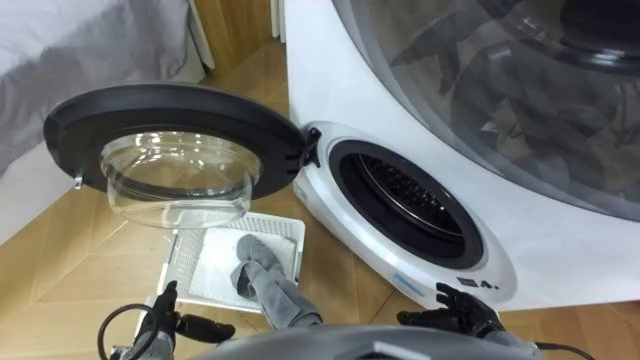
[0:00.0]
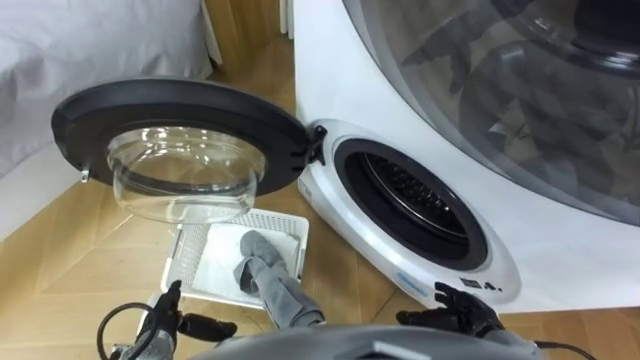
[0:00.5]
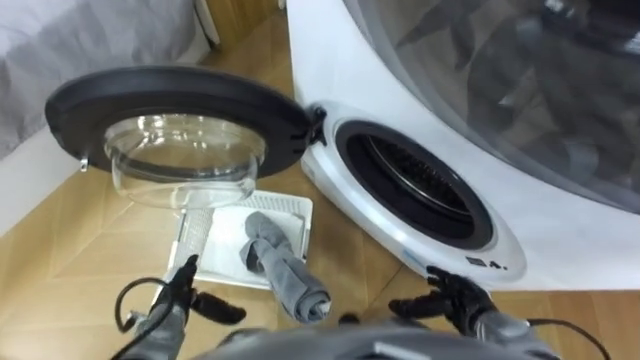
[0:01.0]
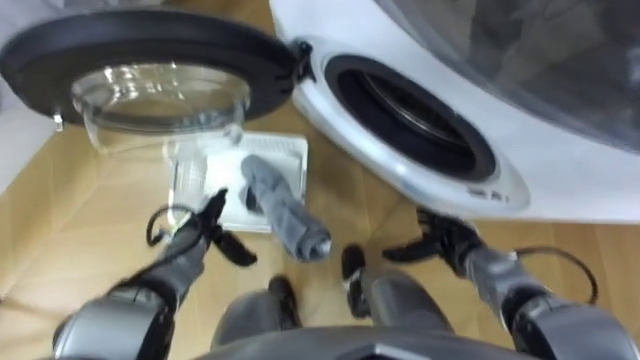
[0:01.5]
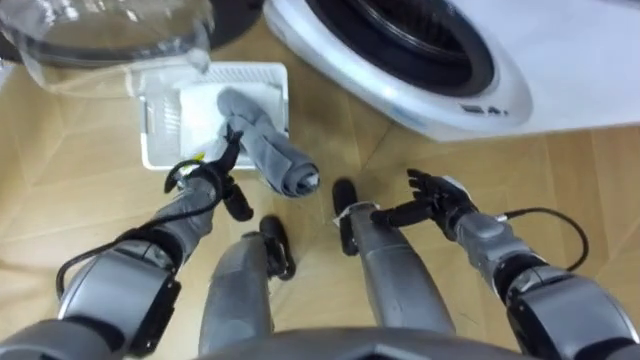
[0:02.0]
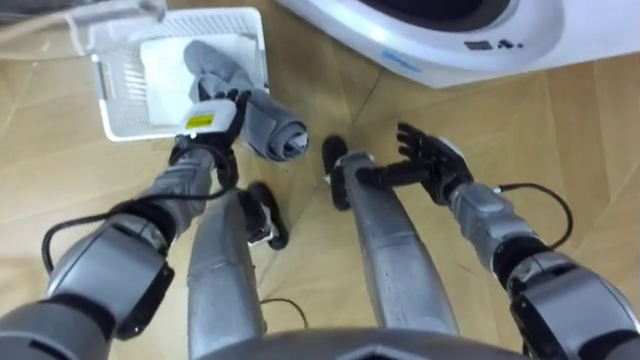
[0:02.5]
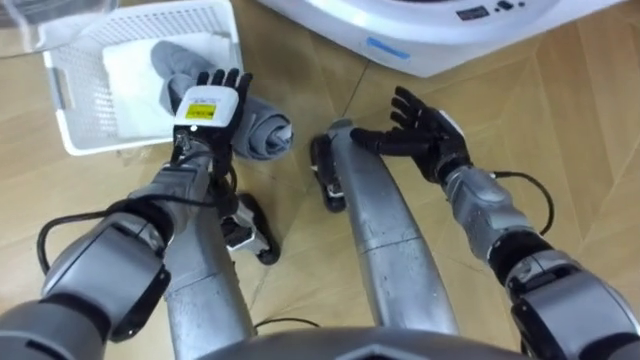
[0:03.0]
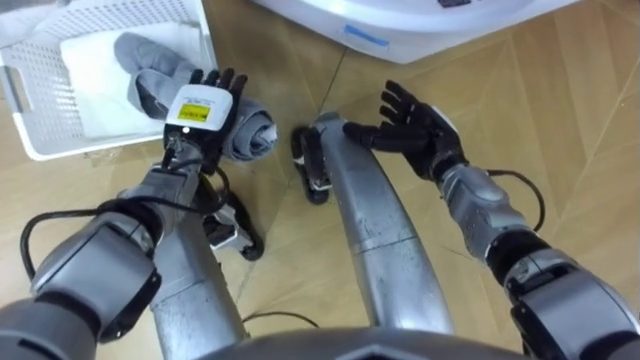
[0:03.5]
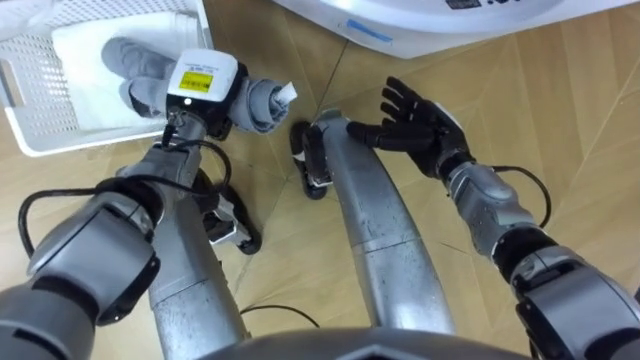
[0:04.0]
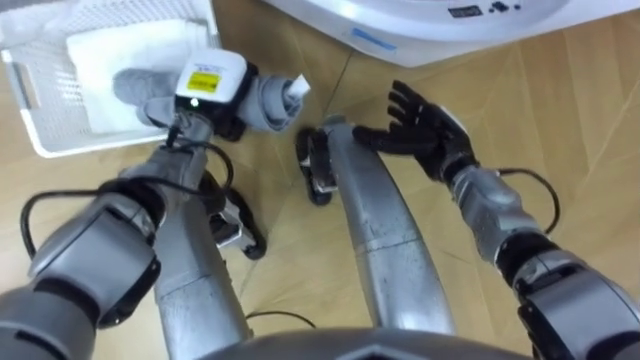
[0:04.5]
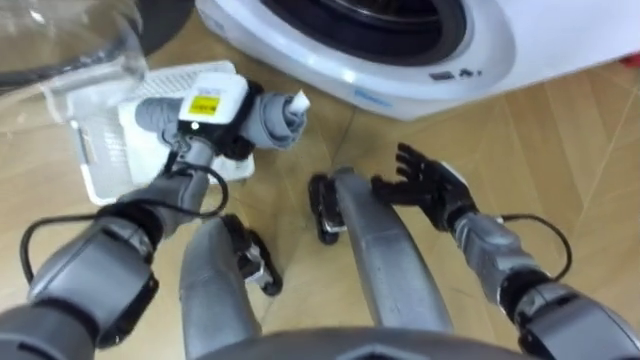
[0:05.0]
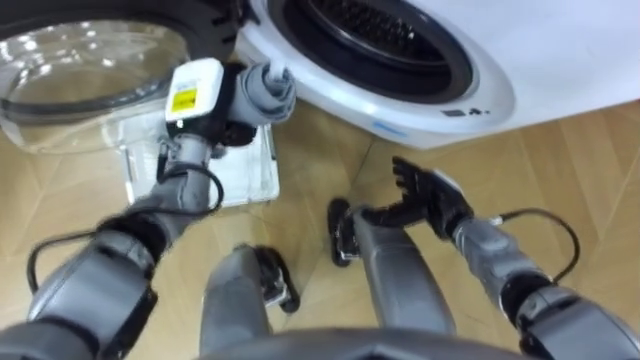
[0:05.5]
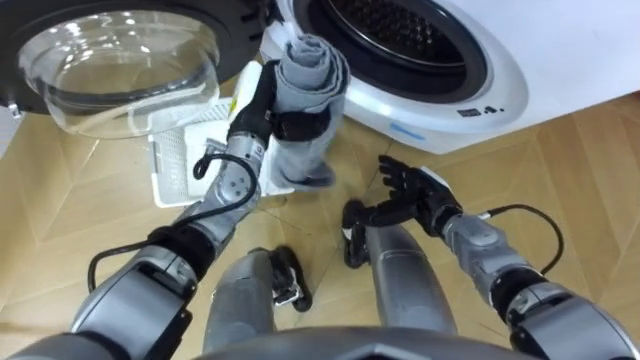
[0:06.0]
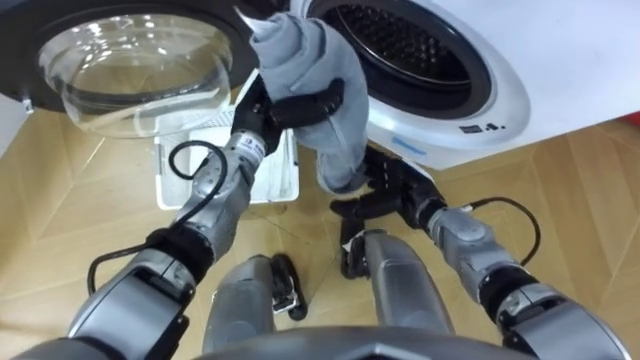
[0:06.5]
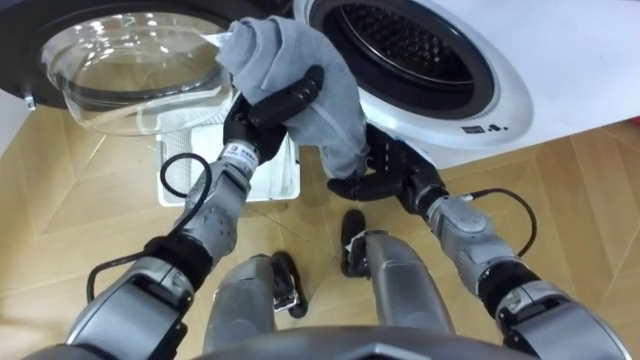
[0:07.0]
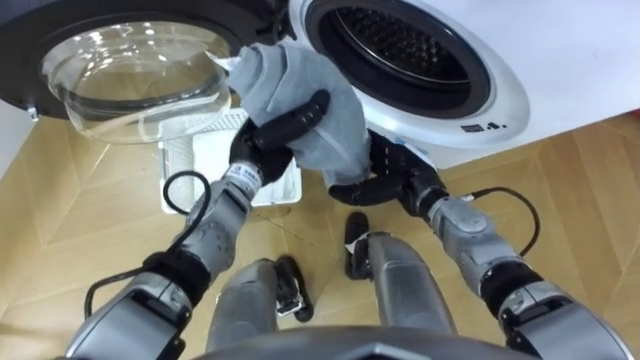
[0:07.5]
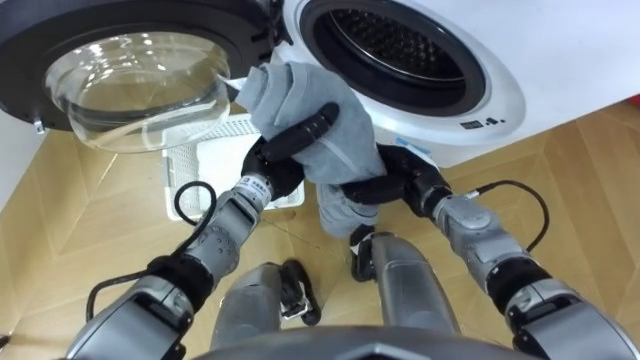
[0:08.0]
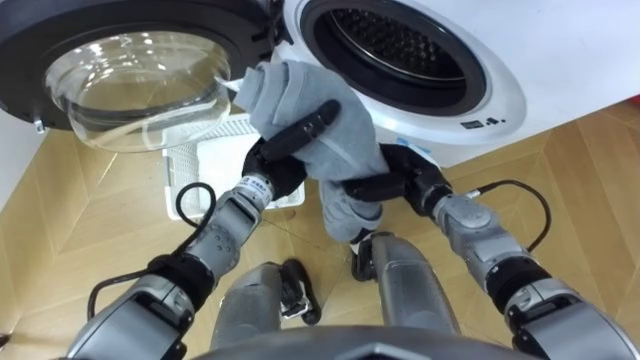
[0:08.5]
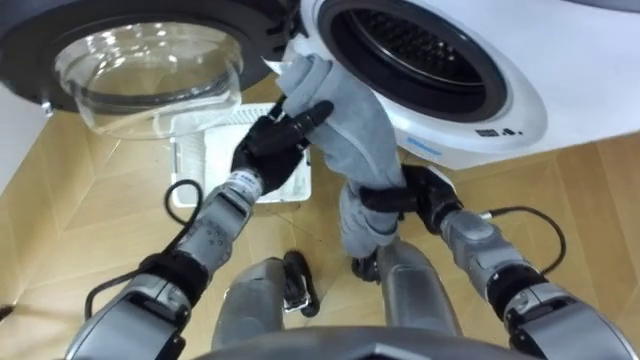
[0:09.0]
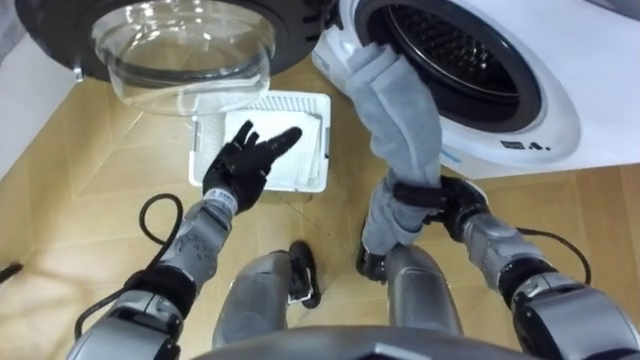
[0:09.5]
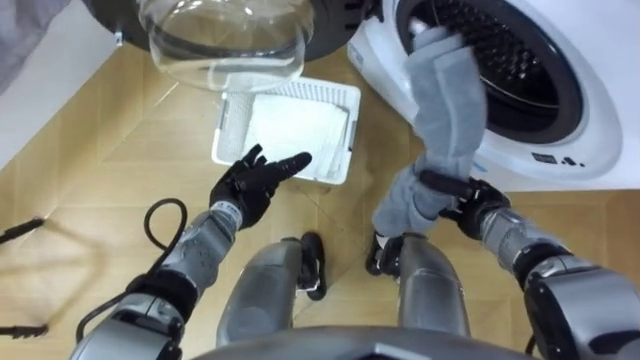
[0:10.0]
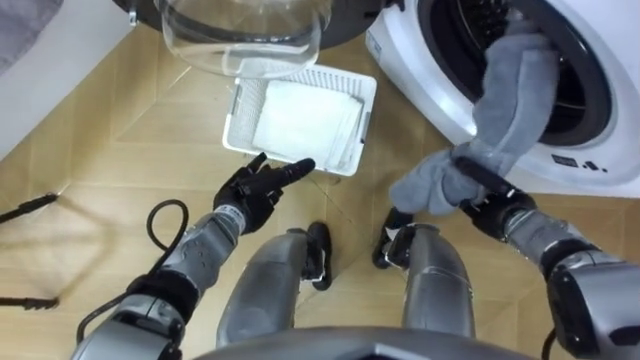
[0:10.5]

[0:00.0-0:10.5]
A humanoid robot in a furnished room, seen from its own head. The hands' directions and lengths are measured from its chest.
Task of the whole recording: Take the towel from the basket and put it into the washing machine.
0:02.0 to 0:04.0: The hands both shift upward and forward by roughly 10 cm. The left hand closes its fingers.
0:04.0 to 0:06.5: The right hand moves backward, about 5 cm; the left hand goes roughly 10 cm to the right.
0:06.5 to 0:08.5: The right hand closes its fingers, while the left hand ends up roughly 5 cm from where it was.
0:08.5 to 0:10.5: The right hand is displaced to the right by some 15 cm, while the left hand is displaced downward and to the left by roughly 10 cm, and opens its fingers.

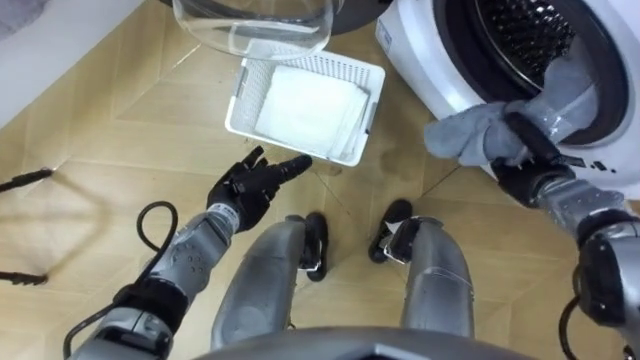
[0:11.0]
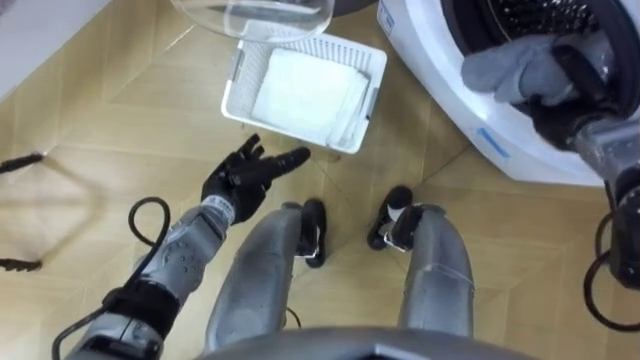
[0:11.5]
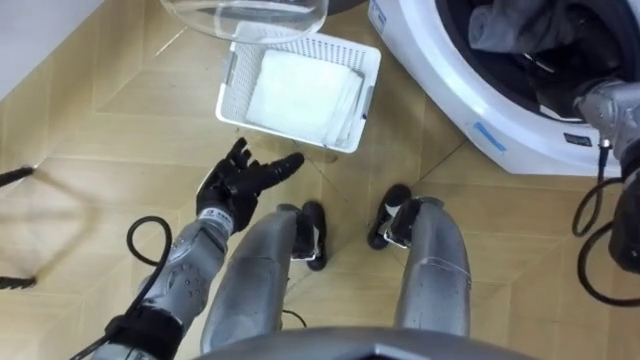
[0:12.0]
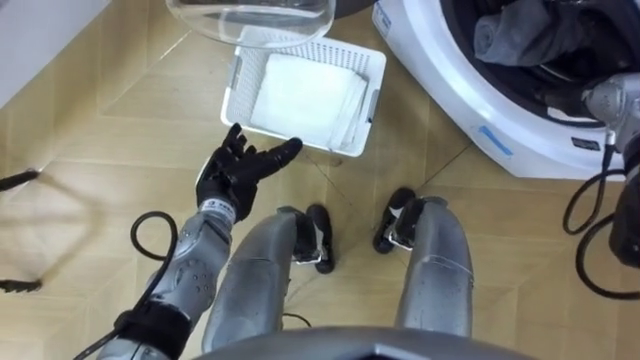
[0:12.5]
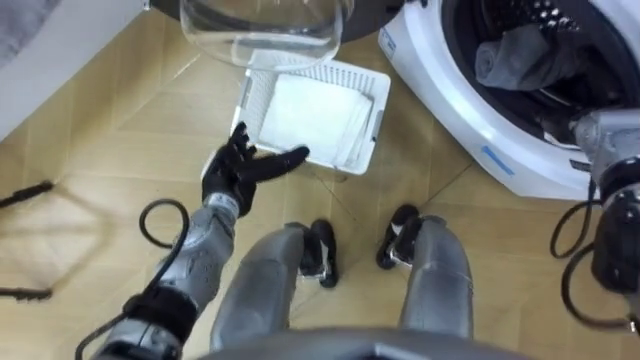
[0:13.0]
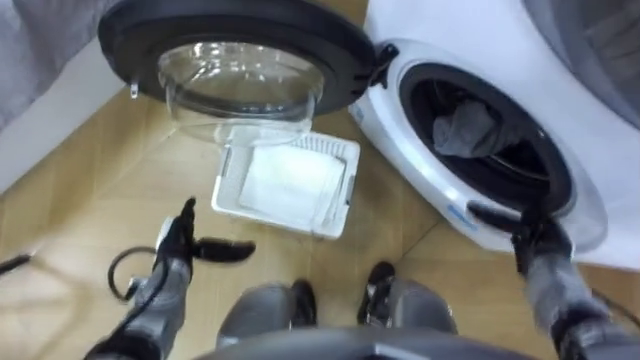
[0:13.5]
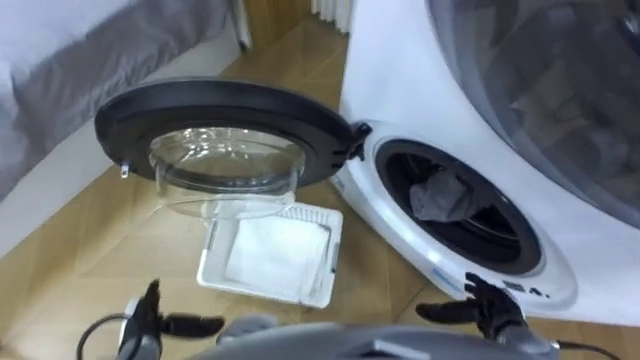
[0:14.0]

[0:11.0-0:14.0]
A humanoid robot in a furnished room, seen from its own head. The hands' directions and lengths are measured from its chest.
Task of the whole recording: Take the towel from the basket and put it into the washing machine.
0:11.0 to 0:12.5: The right hand goes approximately 15 cm upward and forward, and opens up.
0:12.5 to 0:14.0: The left hand travels backward, to the left and downward by about 25 cm. The right hand shifts some 35 cm backward and downward.

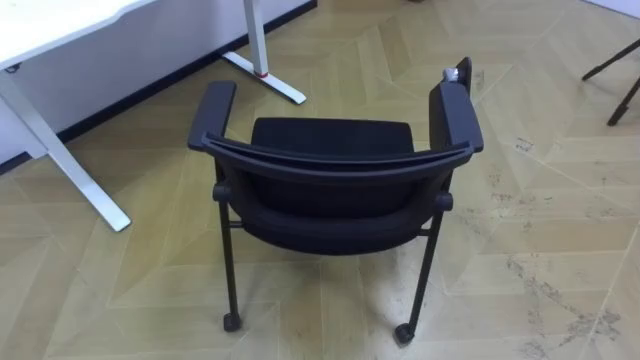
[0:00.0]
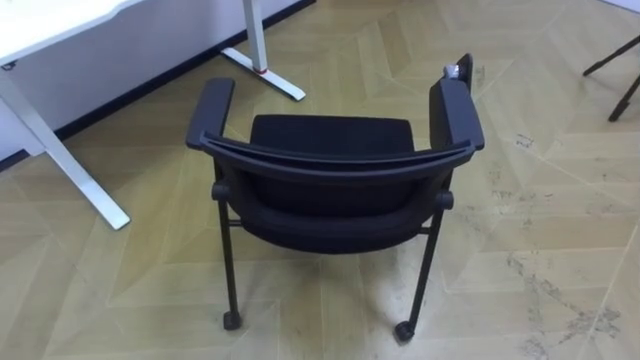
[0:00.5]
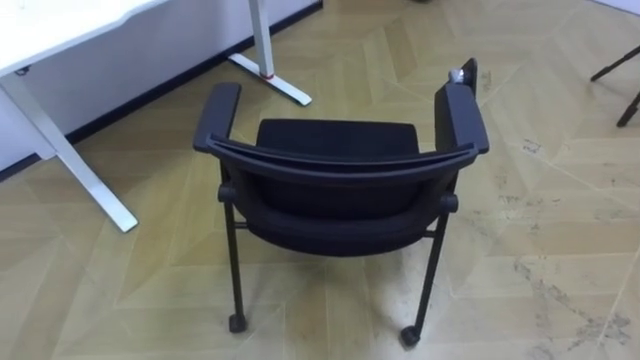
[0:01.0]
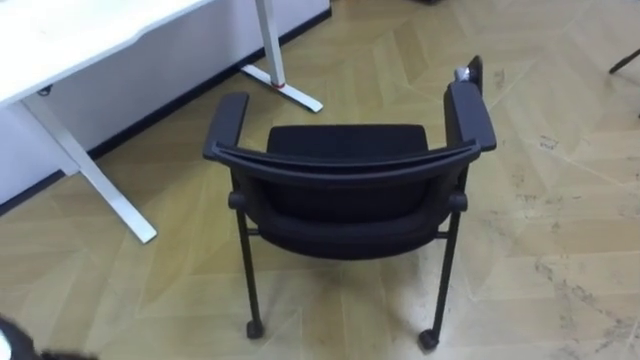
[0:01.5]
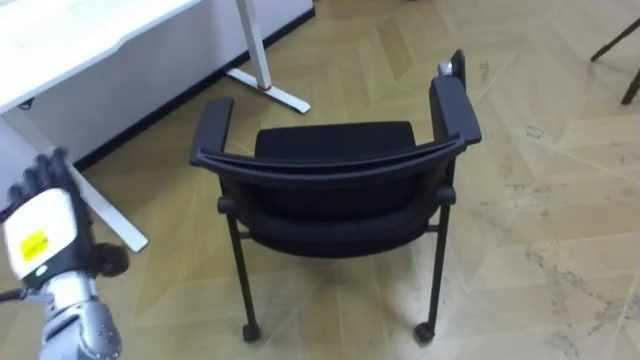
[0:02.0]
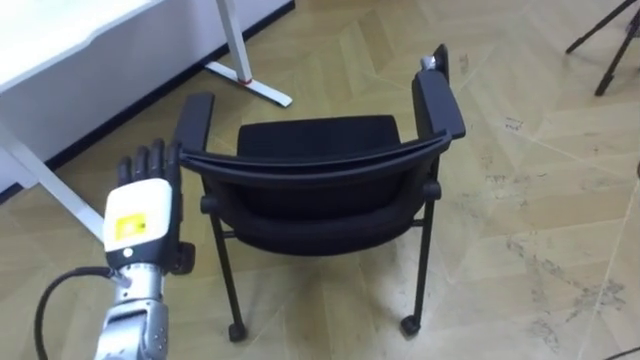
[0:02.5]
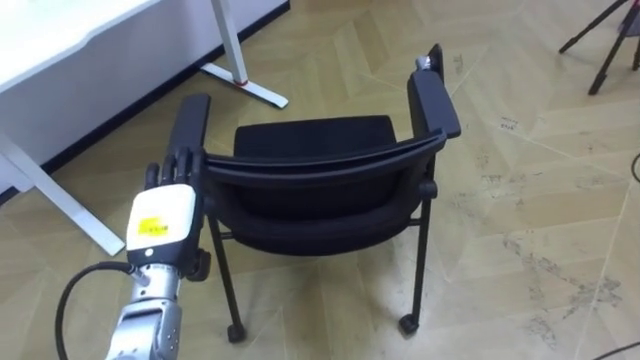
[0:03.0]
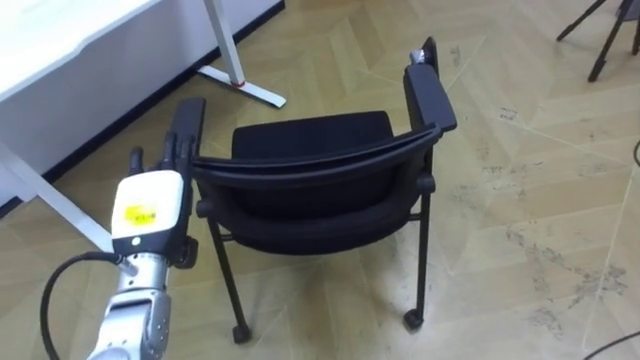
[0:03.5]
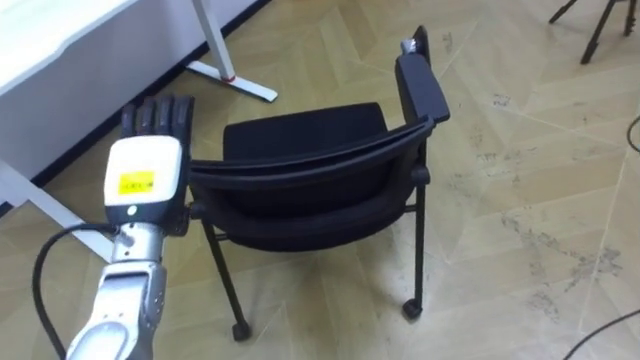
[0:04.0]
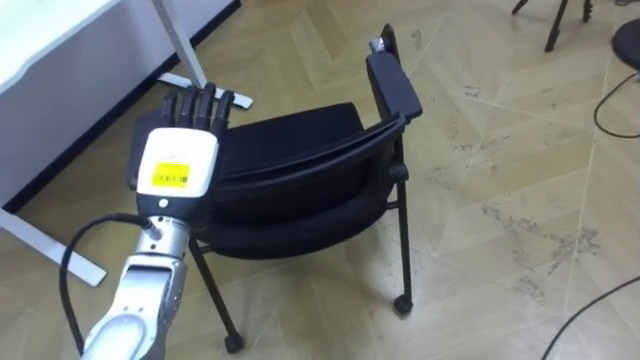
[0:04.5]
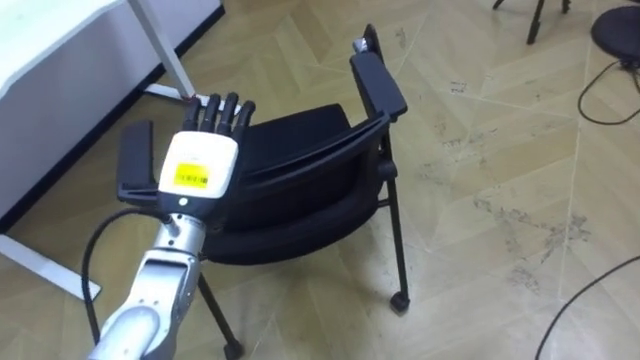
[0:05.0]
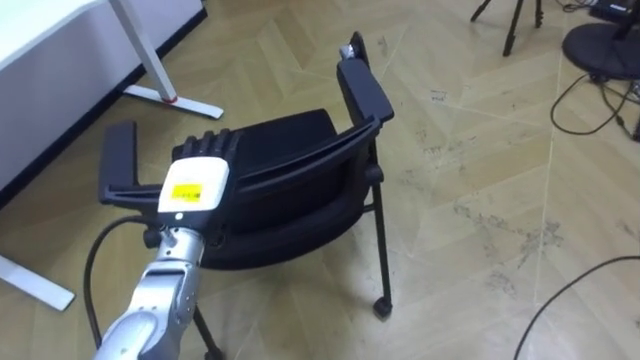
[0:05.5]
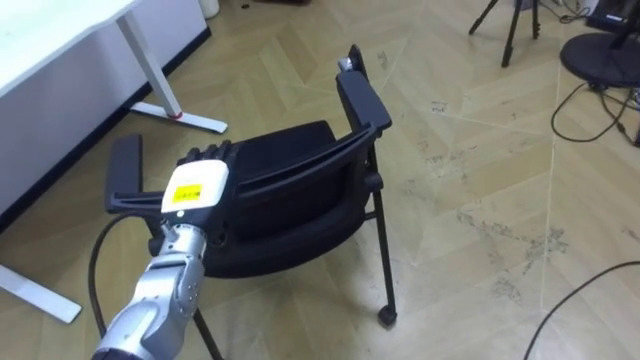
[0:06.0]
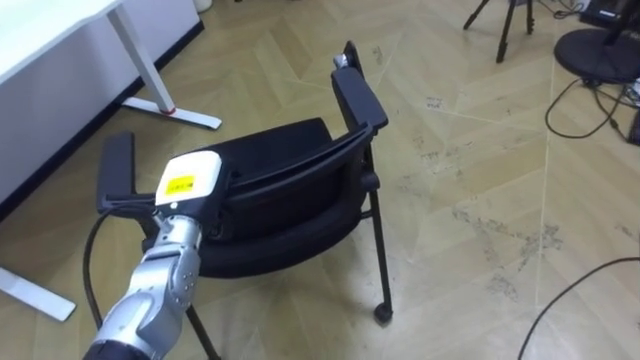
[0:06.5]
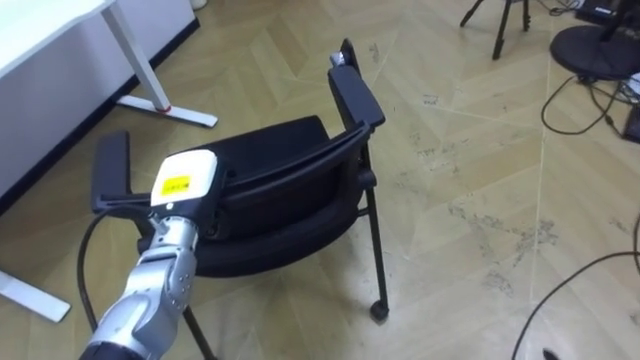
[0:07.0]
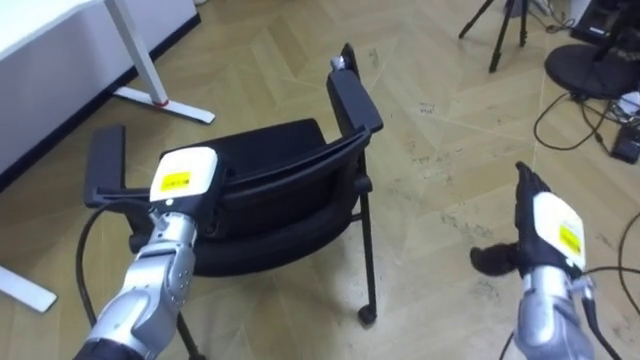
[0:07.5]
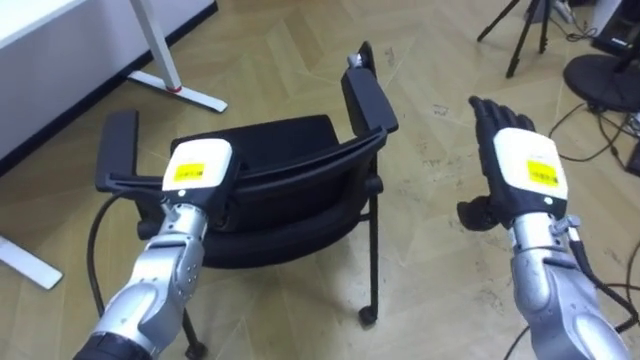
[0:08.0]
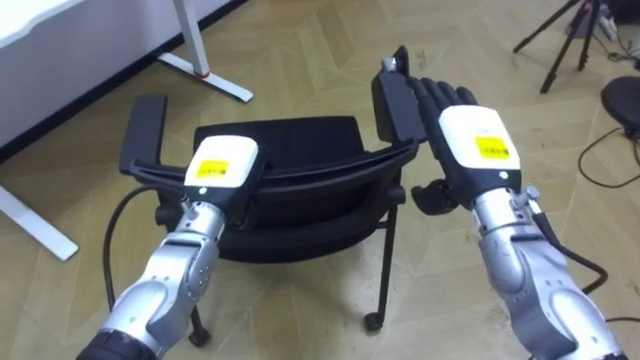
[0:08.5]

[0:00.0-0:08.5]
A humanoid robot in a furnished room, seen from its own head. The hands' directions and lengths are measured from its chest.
Task of the whole recording: Push the chair under the table.
0:02.0 to 0:04.0: The left hand moves to the right and forward, some 10 cm.
0:04.0 to 0:06.5: The left hand shifts about 5 cm downward, and closes.
0:06.5 to 0:08.5: The left hand moves about 5 cm.
